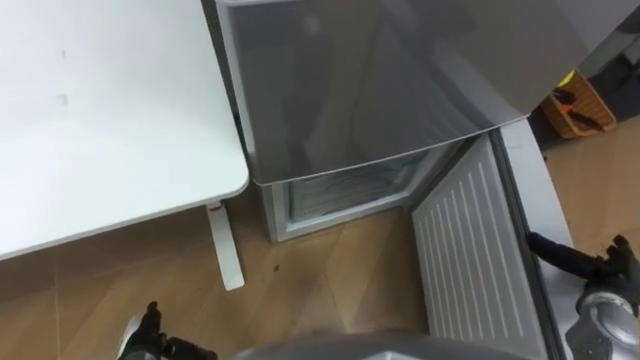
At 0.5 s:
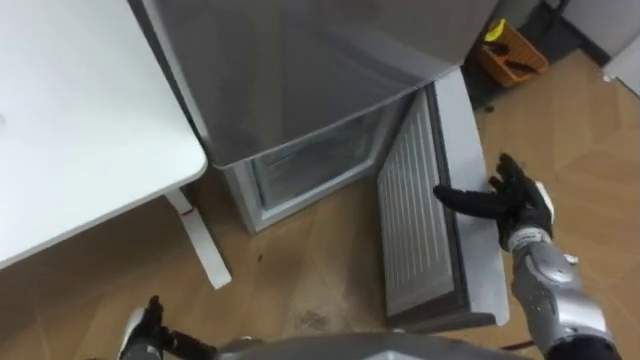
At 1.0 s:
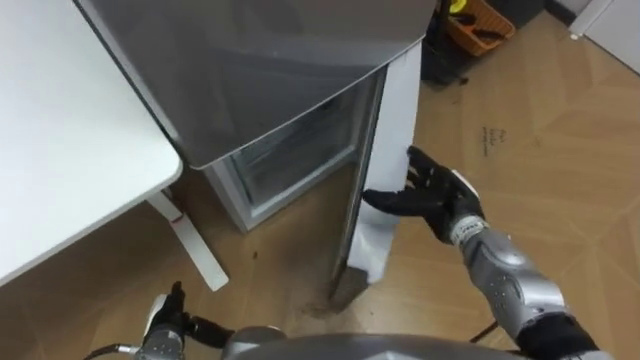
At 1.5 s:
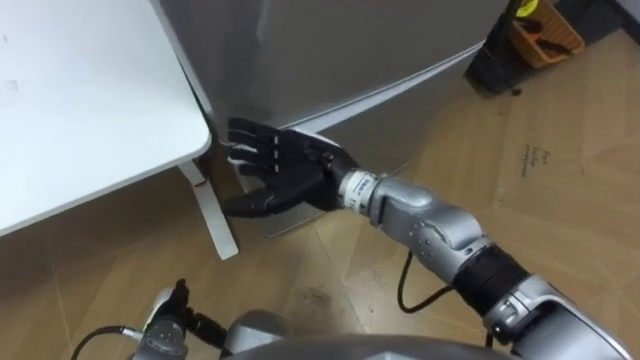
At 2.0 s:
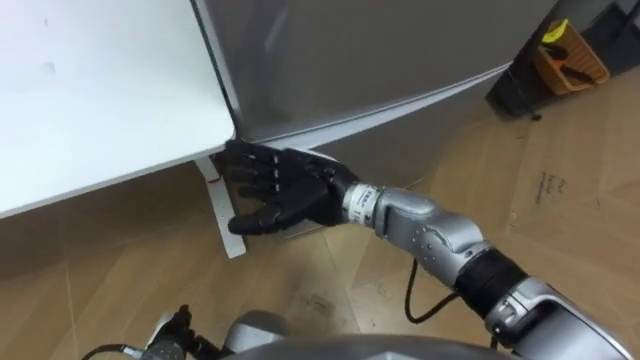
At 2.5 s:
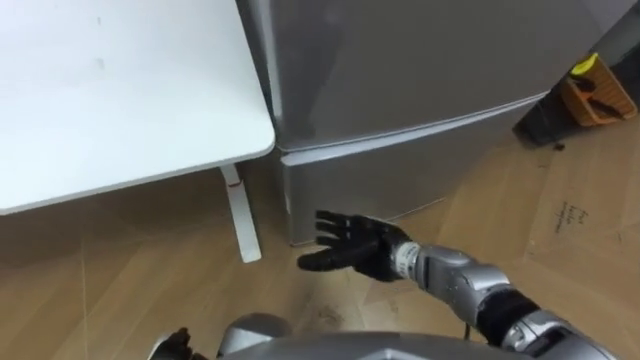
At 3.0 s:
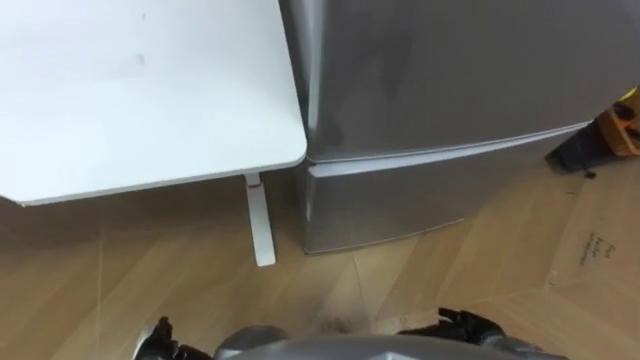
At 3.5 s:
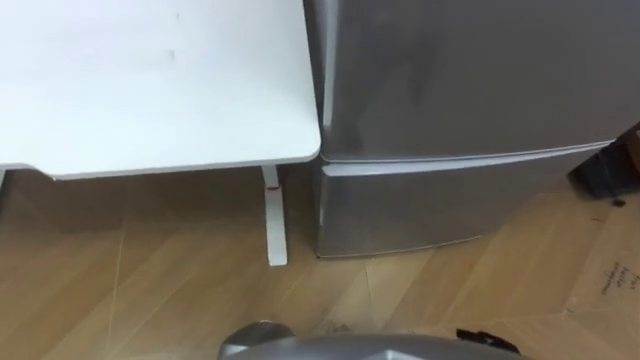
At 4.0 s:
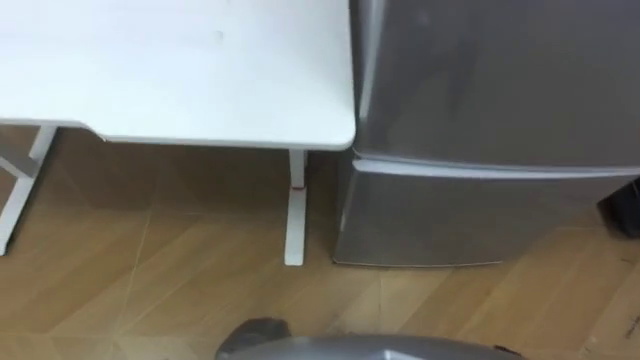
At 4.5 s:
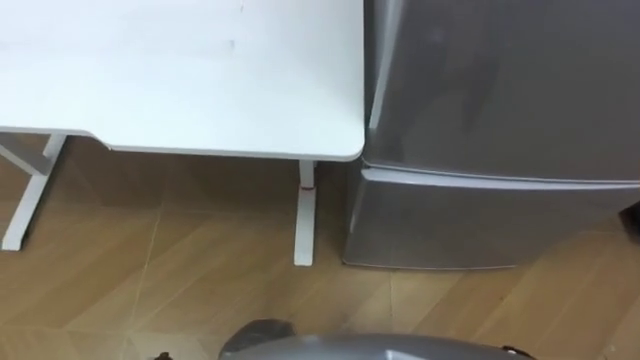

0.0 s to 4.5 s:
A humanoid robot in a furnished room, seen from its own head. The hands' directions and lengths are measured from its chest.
Task of the whole recording: Place the drink on the table on the bottom shelf of the refrigerator, then close the drawer and the refrigerator door.
0.0 to 2.0 s: The right hand travels to the left by roughly 40 cm.

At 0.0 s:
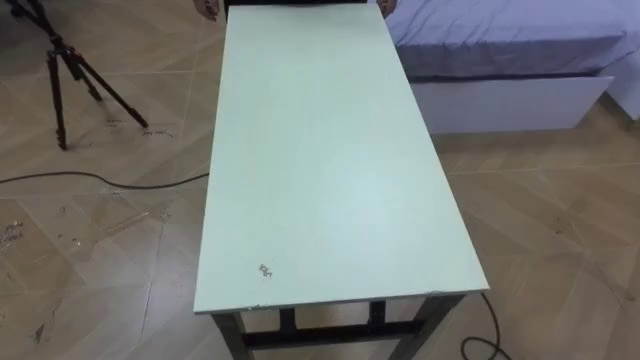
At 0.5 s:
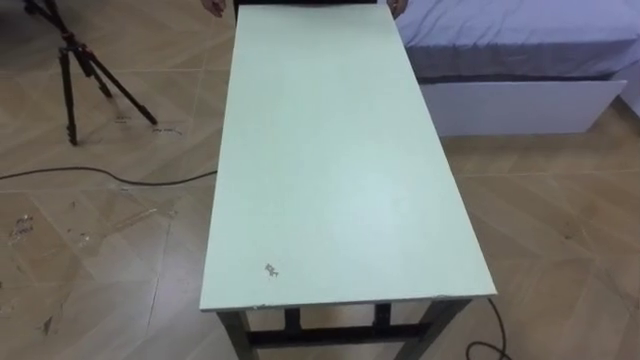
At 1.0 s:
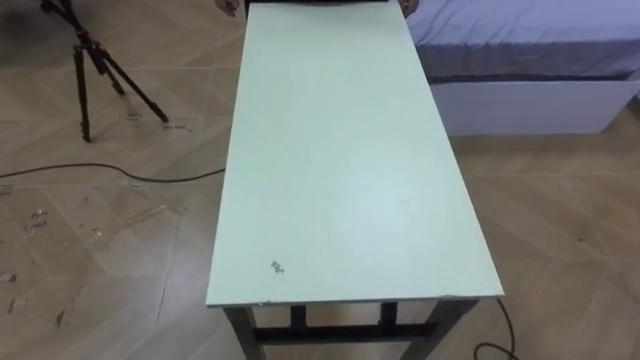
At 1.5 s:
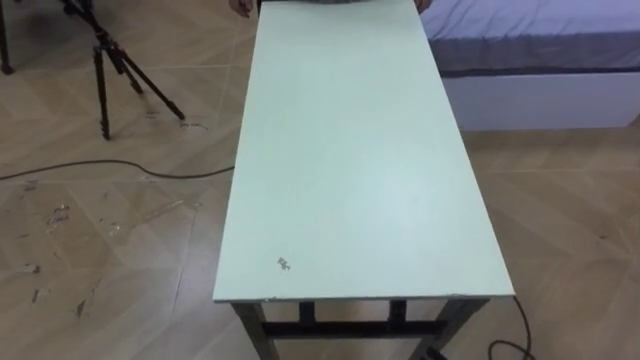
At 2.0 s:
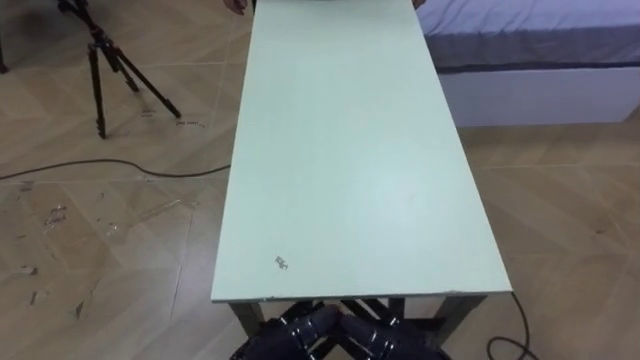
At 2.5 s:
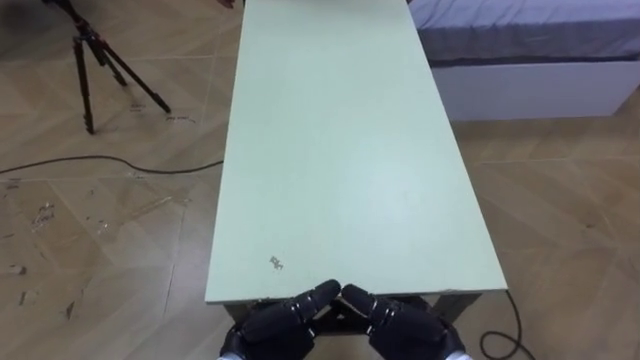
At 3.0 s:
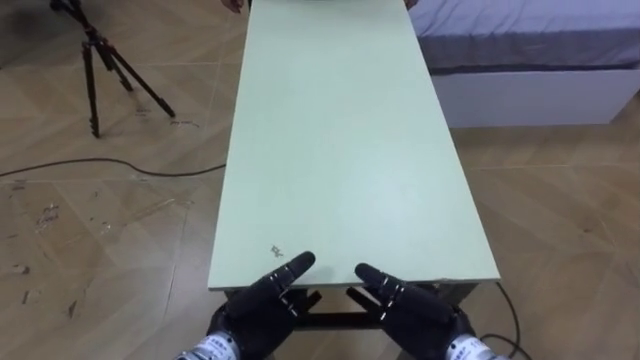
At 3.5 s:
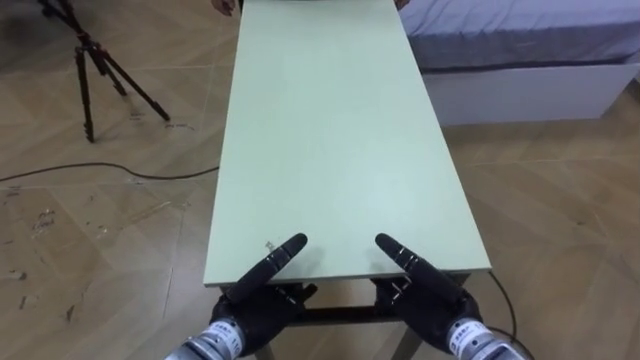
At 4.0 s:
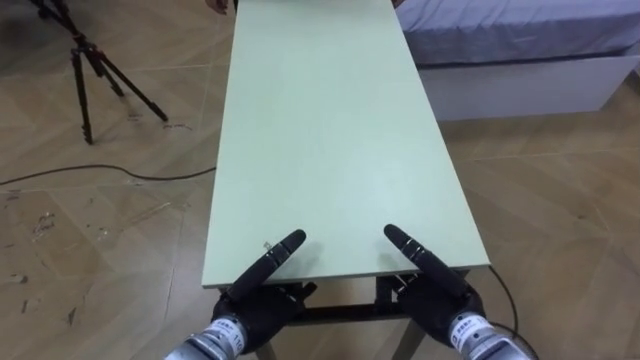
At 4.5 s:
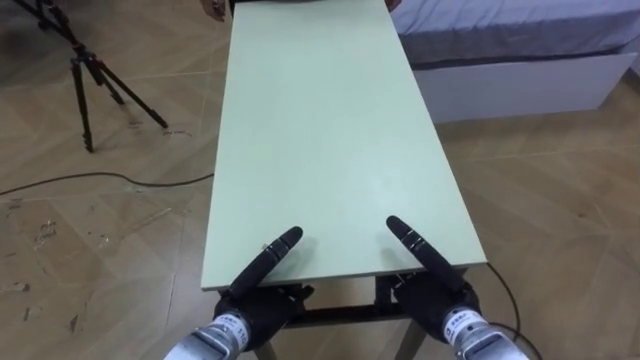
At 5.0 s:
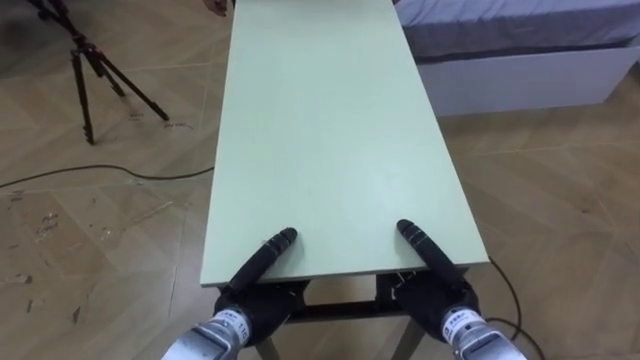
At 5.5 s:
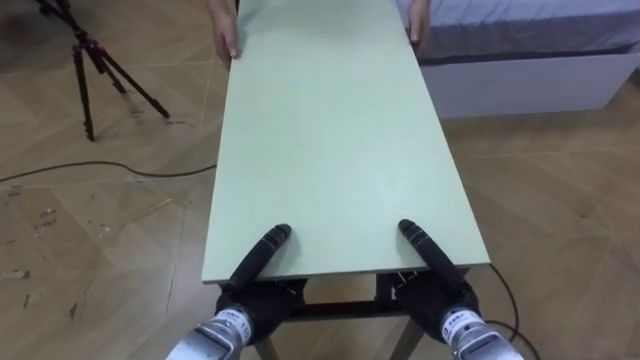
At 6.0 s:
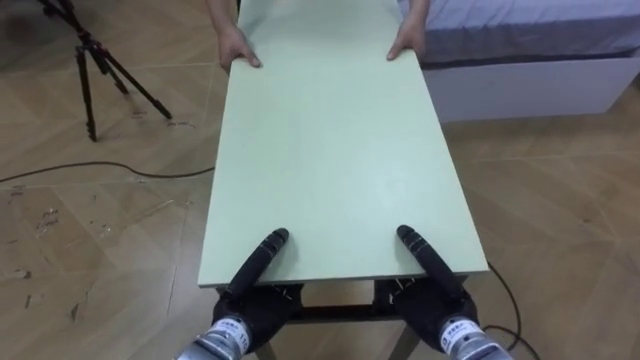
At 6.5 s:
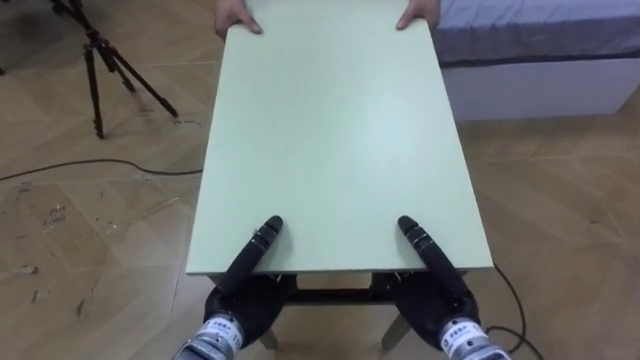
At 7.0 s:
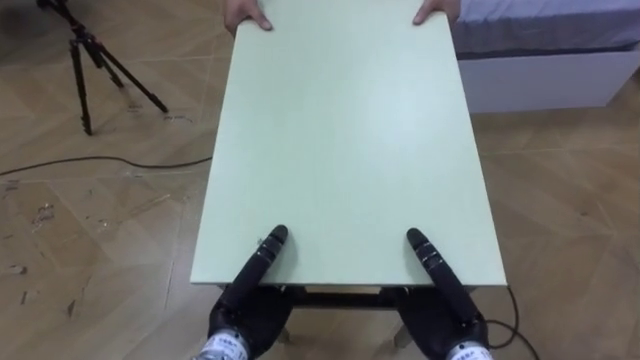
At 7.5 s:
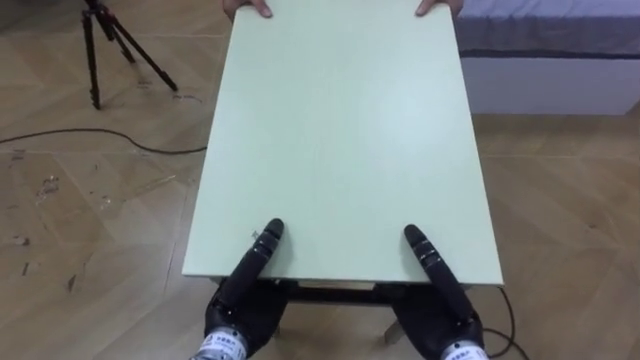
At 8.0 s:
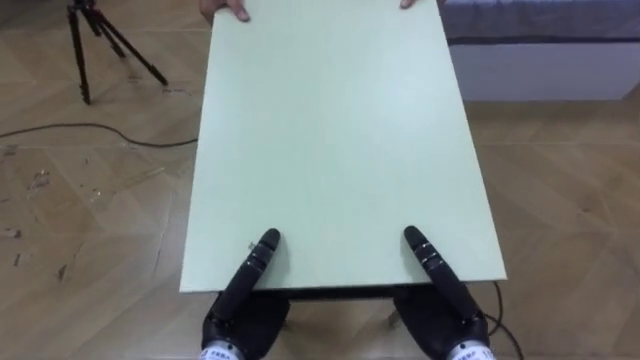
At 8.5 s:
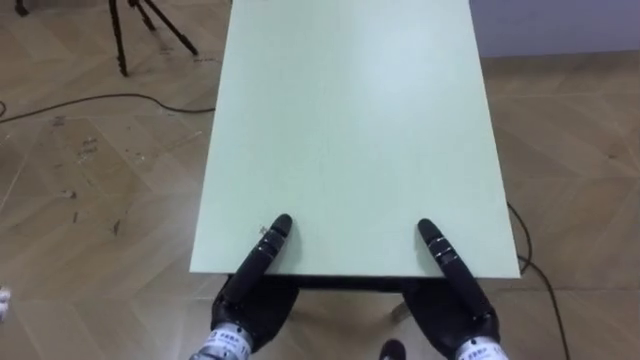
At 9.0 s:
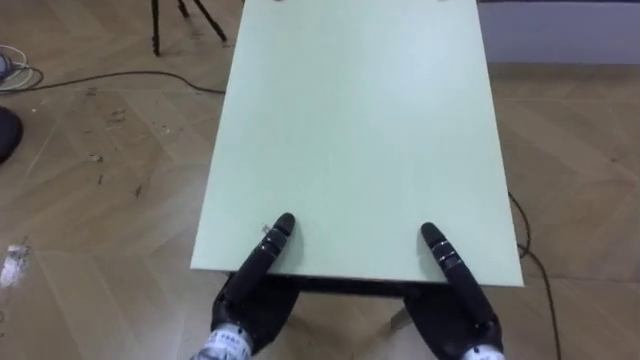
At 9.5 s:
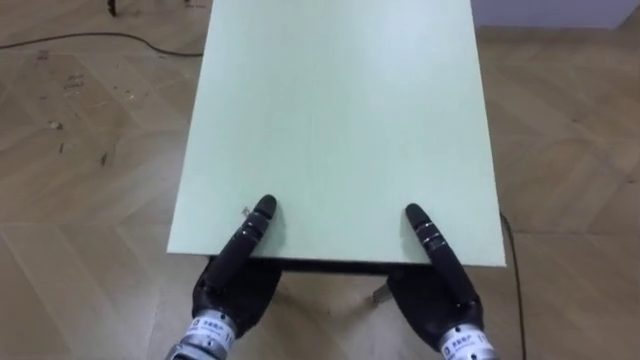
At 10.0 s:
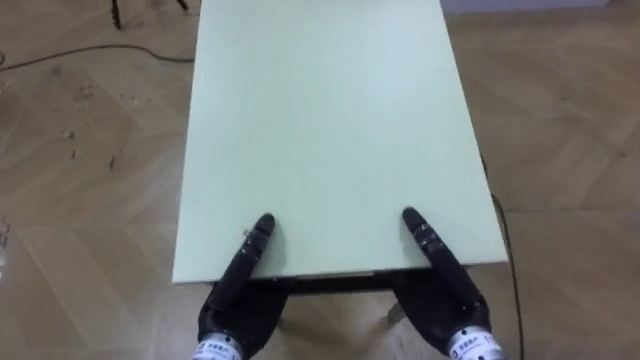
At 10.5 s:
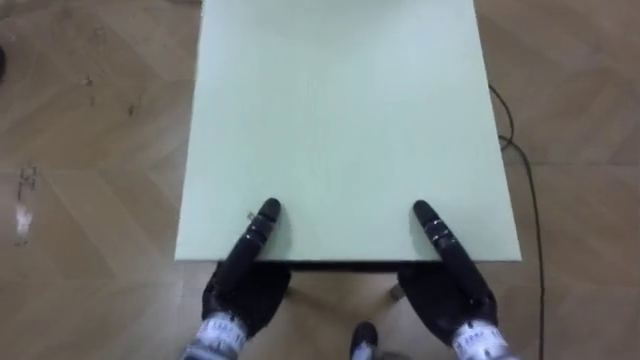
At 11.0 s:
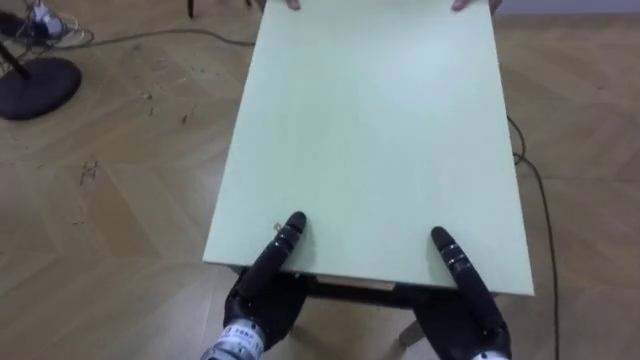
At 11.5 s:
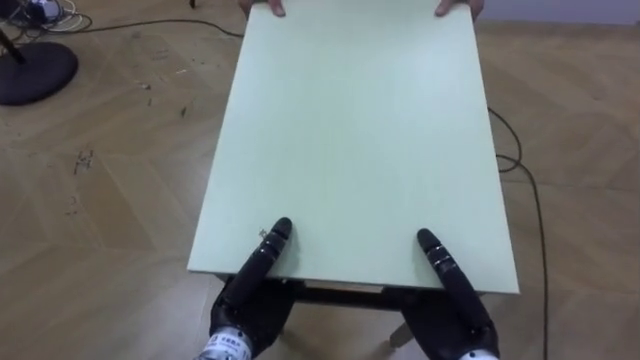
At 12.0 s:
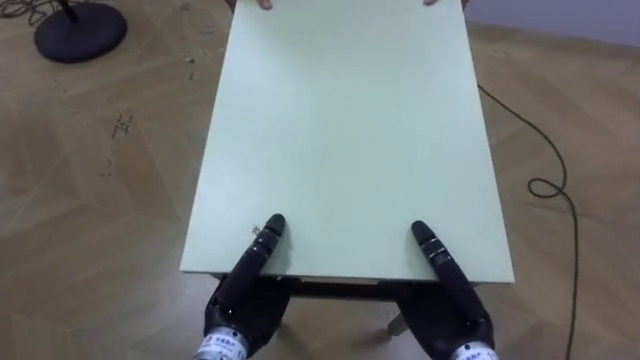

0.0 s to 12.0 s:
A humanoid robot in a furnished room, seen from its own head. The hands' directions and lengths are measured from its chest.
Task of the whole recording: Move the table to the back left with someone.
2.0 to 4.0 s: Both hands travel together forward, some 5 cm.
4.0 to 6.0 s: The right hand closes its fingers, while the left hand closes.
10.0 to 12.0 s: The robot turns to its left by some 15 degrees.

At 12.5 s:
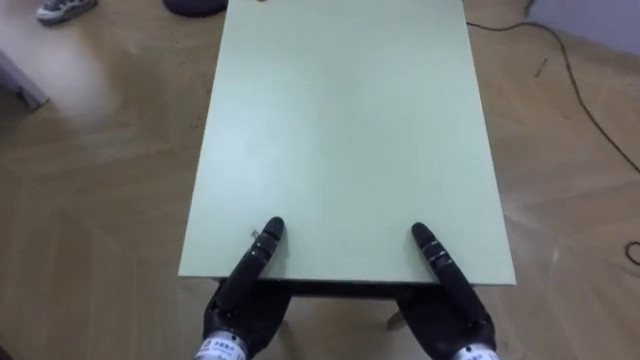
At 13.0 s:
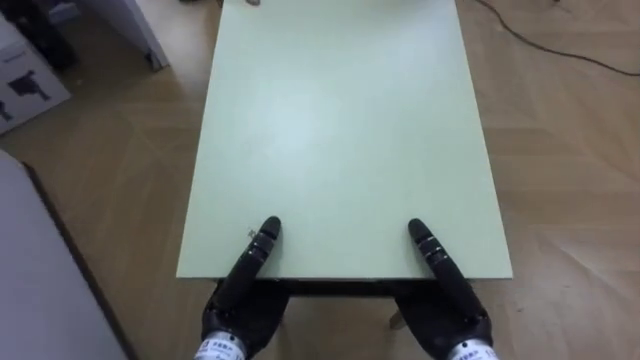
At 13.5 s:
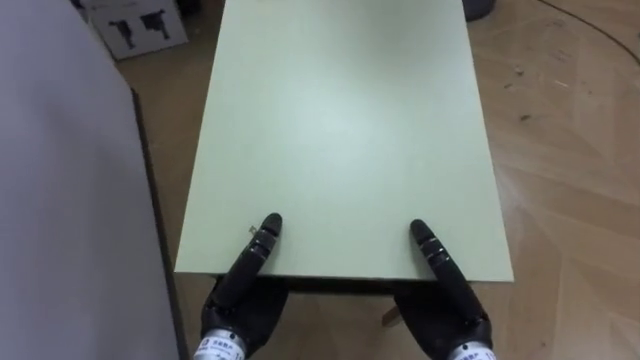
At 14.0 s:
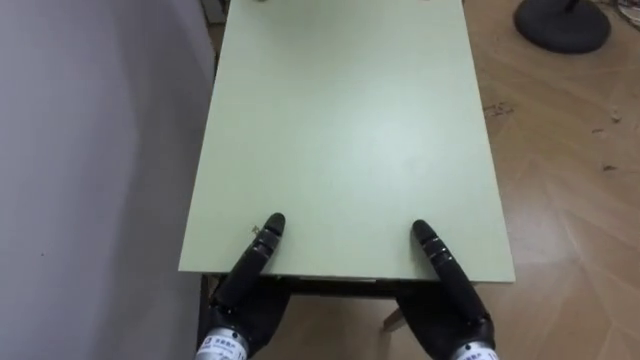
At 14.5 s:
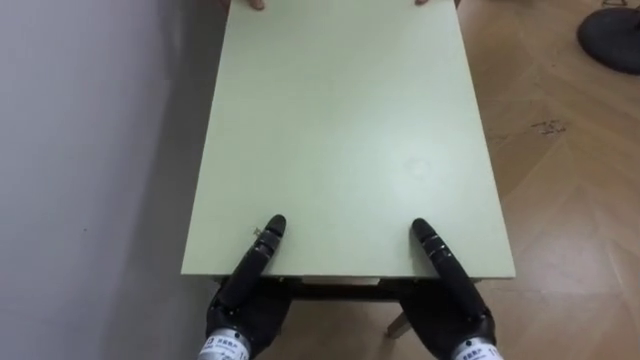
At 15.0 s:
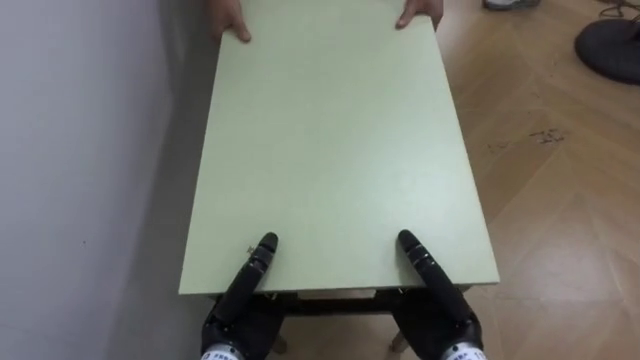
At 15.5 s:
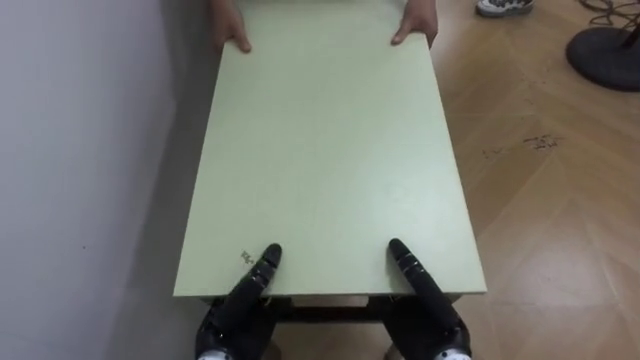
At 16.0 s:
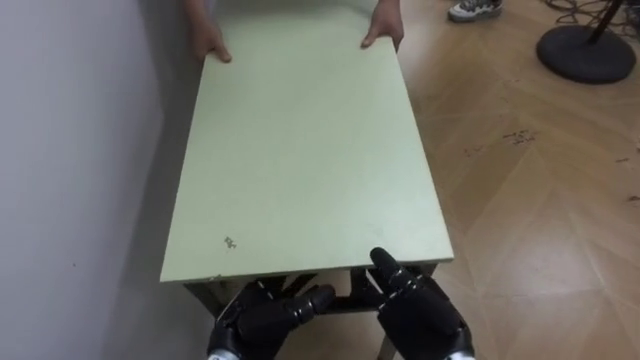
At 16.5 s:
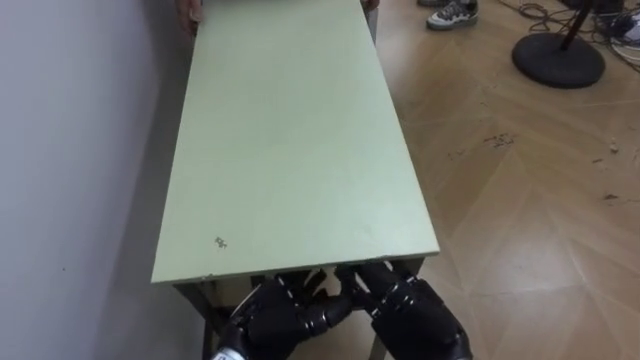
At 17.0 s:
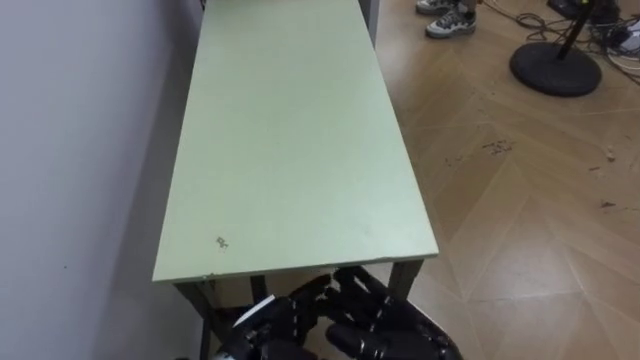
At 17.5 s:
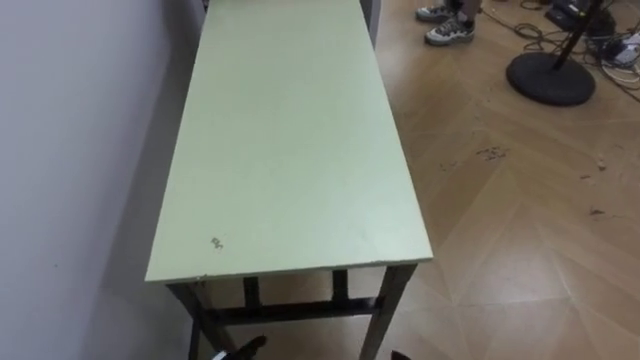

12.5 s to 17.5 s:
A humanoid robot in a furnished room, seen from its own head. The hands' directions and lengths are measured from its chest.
Task of the whole recording: Move the table to the back left with someone.
12.5 to 15.0 s: The robot turns to its left by roughly 60 degrees.
